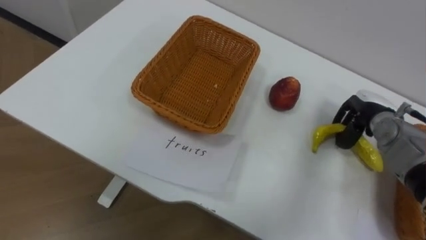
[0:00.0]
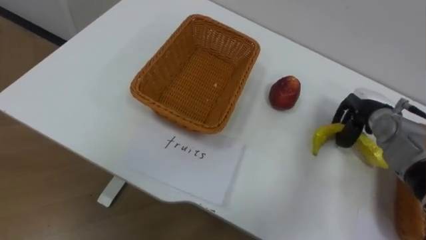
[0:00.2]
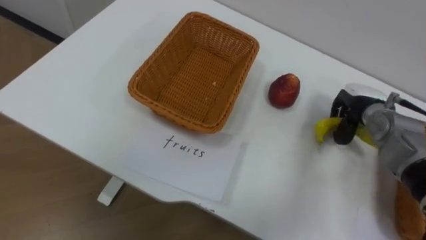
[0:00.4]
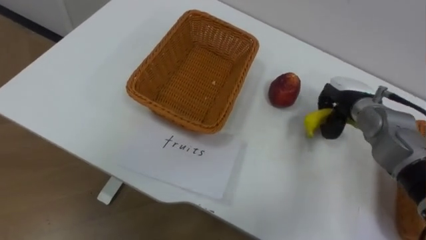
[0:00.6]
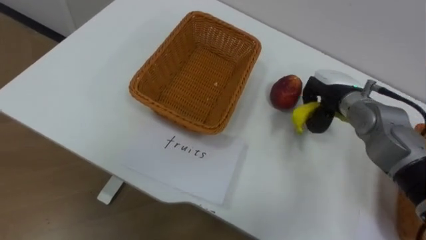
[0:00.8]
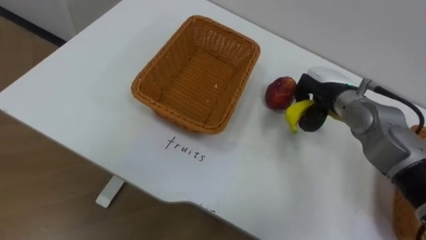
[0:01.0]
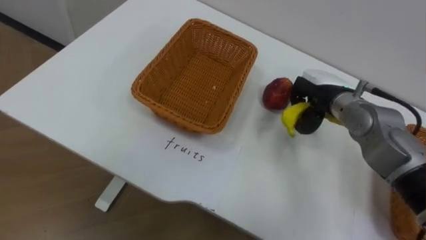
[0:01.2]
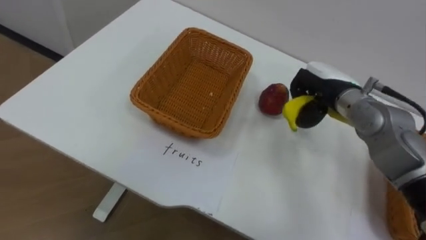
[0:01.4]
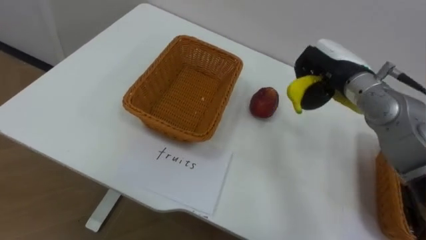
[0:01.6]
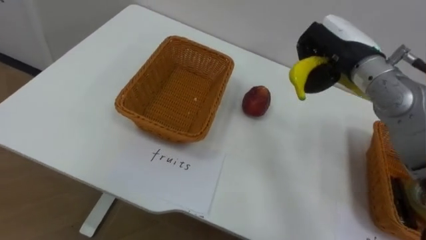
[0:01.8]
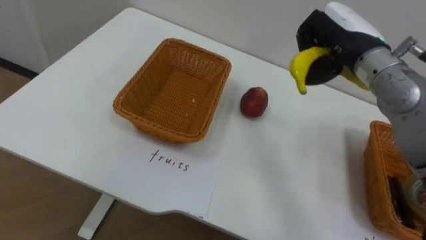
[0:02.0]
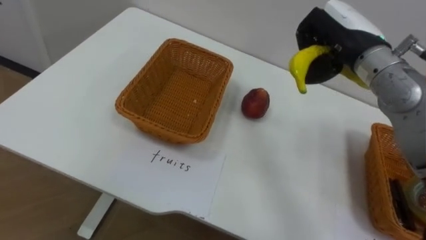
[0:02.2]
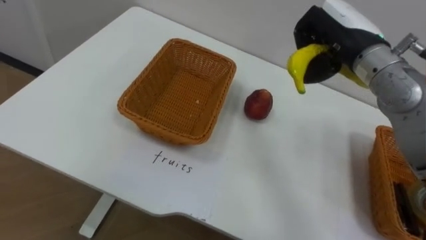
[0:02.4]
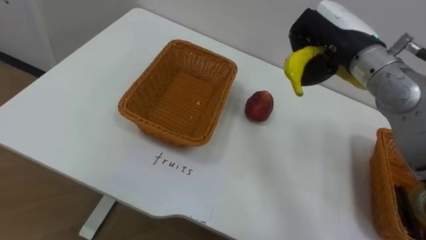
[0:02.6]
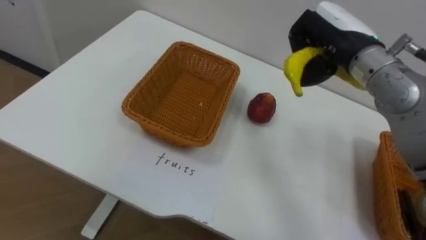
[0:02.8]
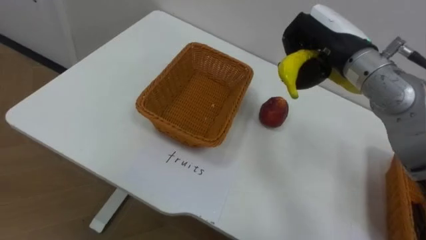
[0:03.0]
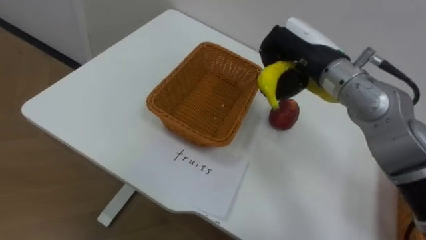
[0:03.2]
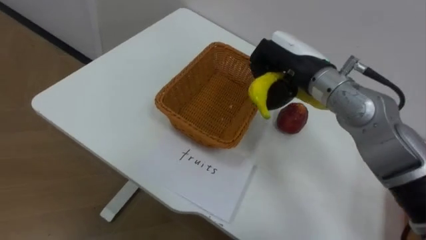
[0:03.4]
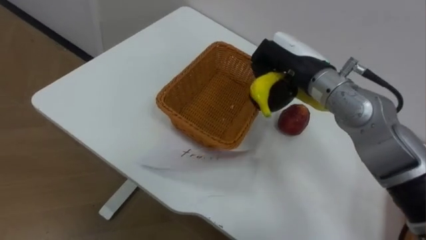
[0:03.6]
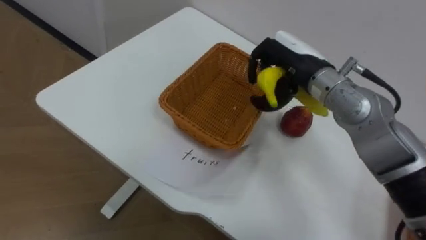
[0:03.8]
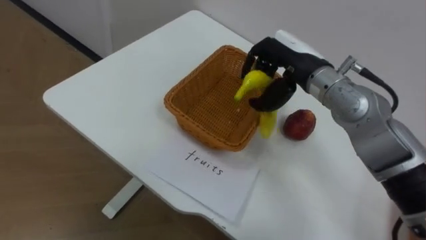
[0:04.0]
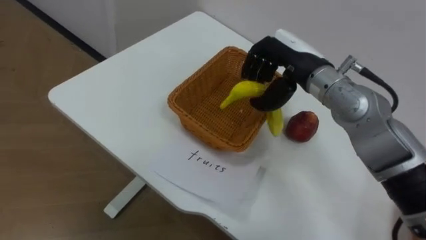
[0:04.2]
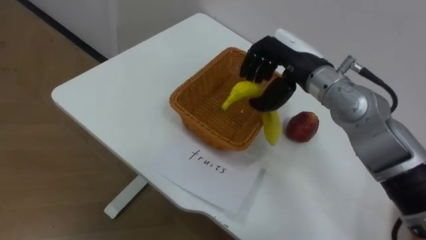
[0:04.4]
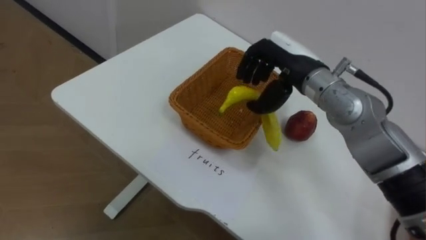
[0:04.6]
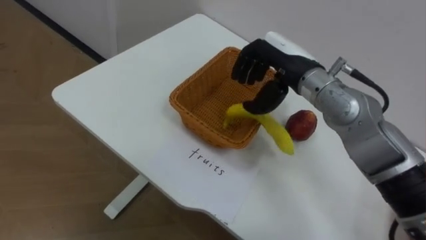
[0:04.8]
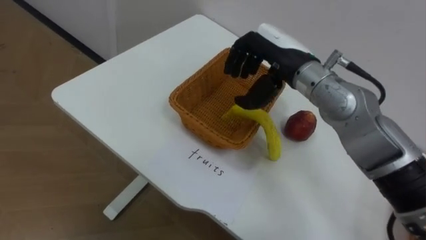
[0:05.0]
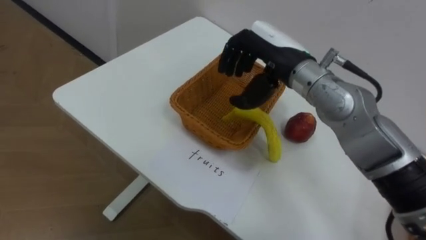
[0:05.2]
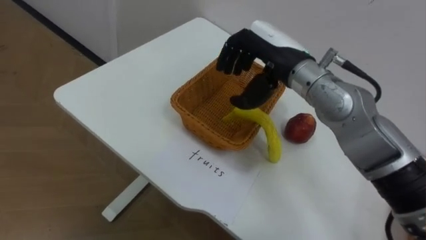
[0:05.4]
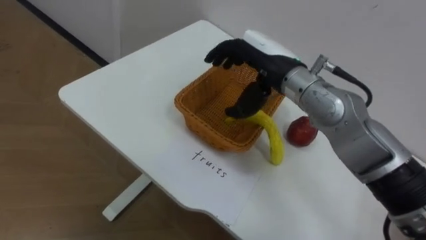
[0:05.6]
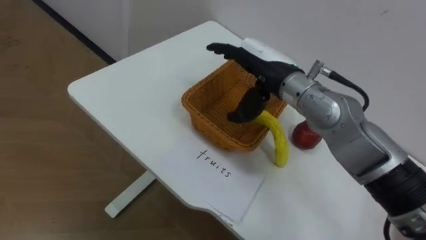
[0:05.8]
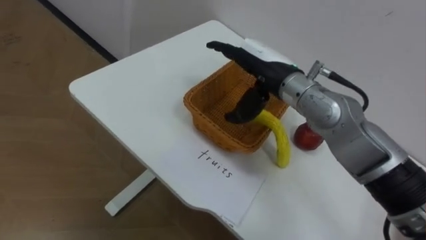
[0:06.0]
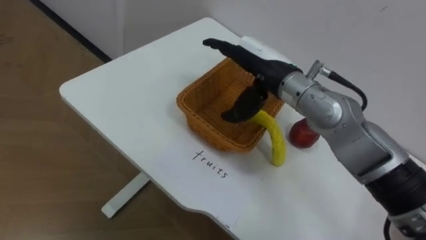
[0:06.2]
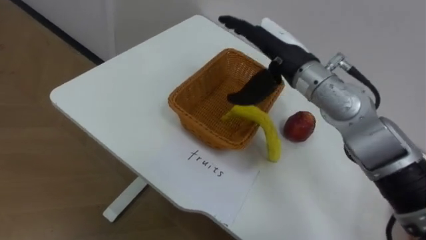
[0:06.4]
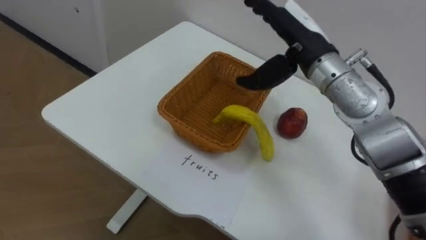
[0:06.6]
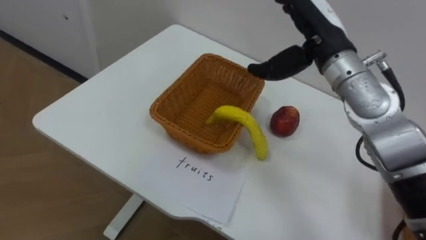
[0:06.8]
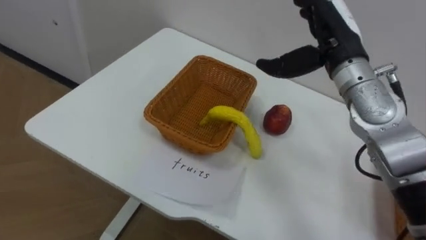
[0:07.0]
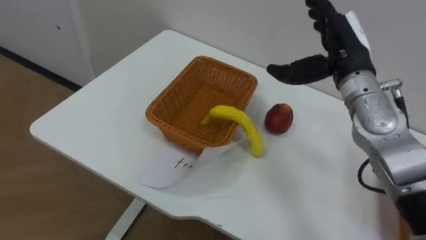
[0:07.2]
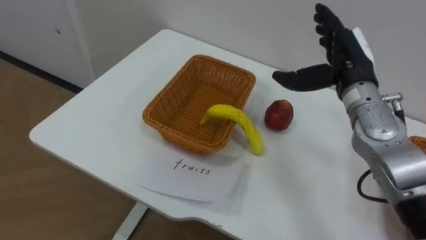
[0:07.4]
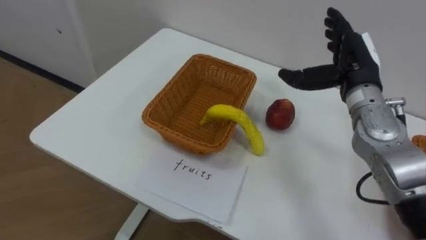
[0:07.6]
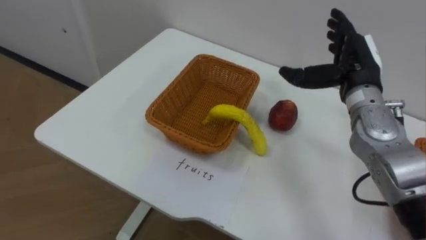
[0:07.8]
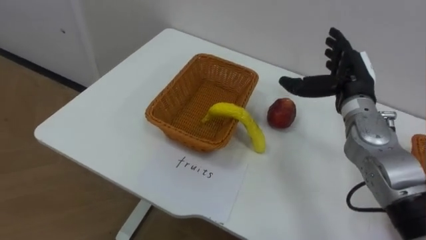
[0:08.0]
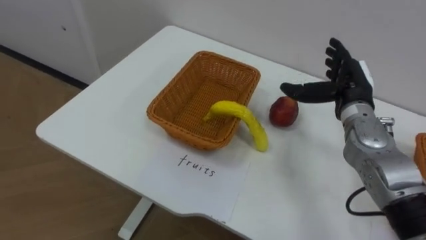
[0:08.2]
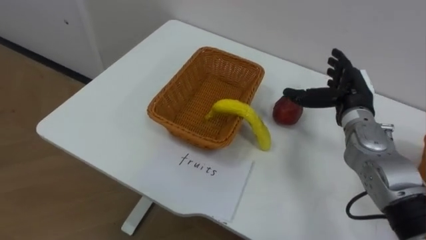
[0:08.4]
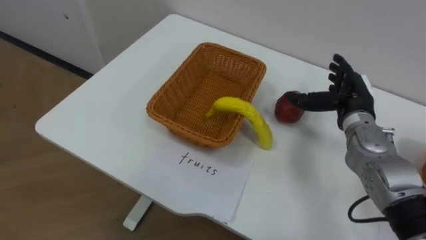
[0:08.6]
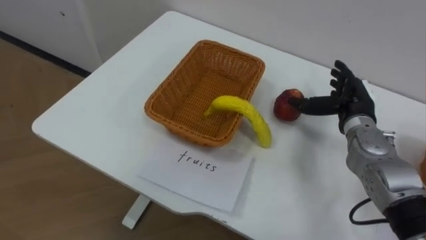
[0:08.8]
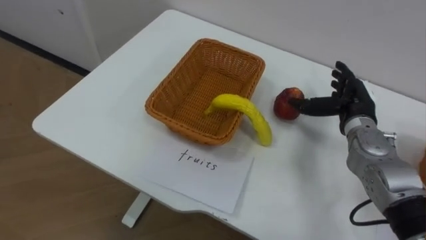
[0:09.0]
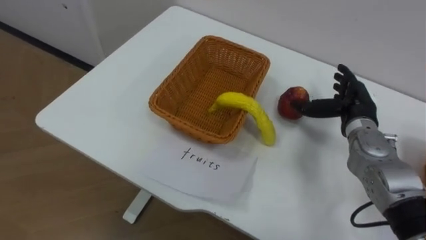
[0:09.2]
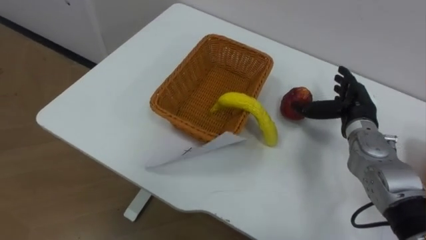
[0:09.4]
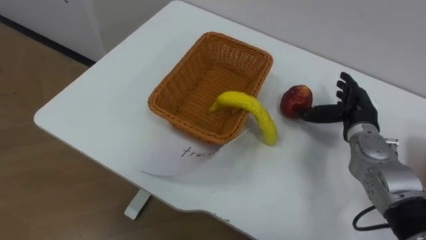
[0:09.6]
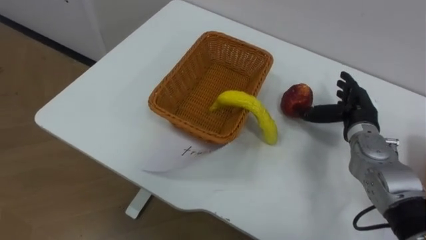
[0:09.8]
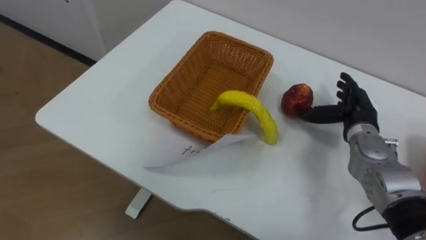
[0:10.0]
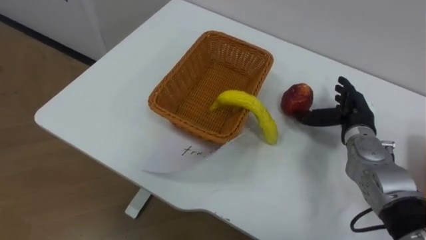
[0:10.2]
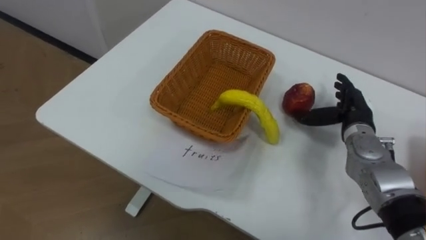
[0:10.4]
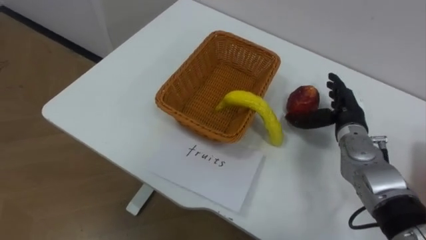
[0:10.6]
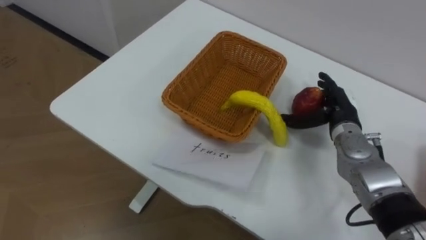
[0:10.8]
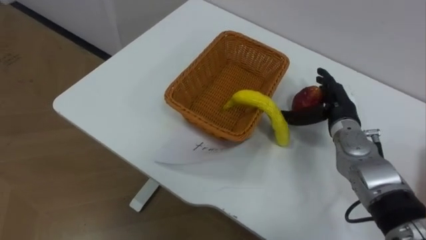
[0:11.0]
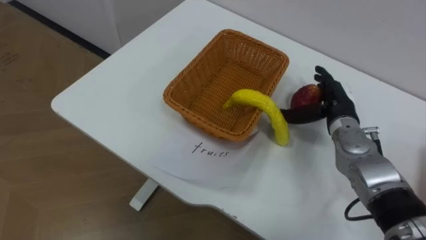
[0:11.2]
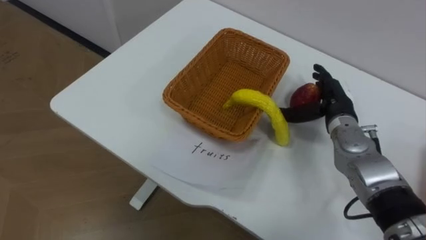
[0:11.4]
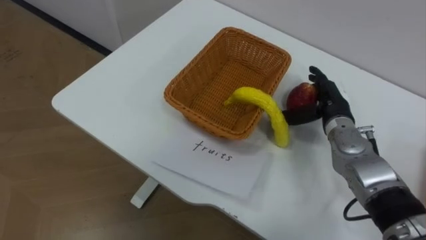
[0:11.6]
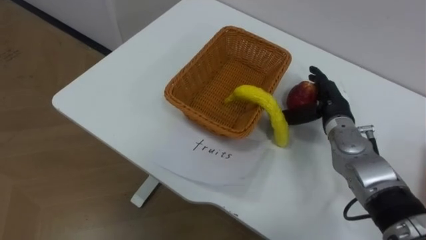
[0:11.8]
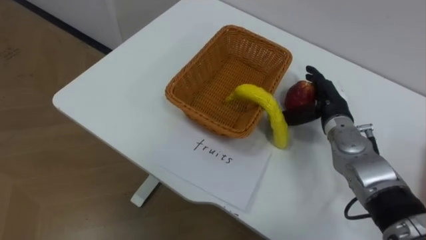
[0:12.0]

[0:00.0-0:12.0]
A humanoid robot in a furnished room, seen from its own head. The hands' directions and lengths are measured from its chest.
Task of the whole recording: Separate the items on the table and place them into the two baskets.
0.0 to 1.6 s: The right hand is displaced upward and to the left by roughly 15 cm.
1.6 to 3.0 s: The right hand goes approximately 5 cm upward.
3.0 to 4.4 s: The right hand ends up some 5 cm from where it was, and opens up.
4.4 to 6.0 s: The right hand shifts approximately 5 cm to the left, and opens up.
6.0 to 7.6 s: The right hand heads to the right, covering roughly 15 cm.
7.6 to 9.0 s: The right hand heads downward, covering about 10 cm.

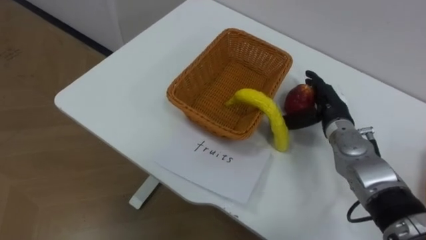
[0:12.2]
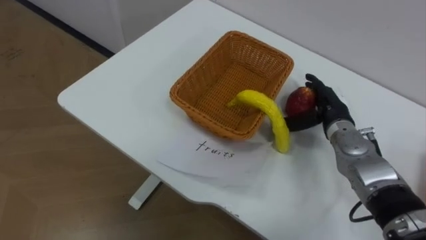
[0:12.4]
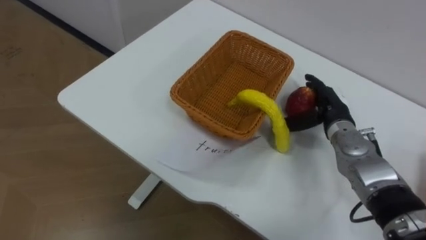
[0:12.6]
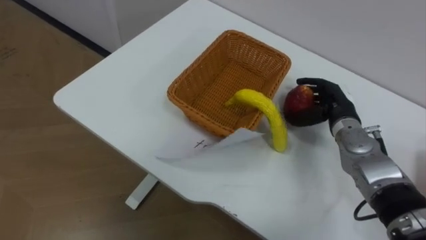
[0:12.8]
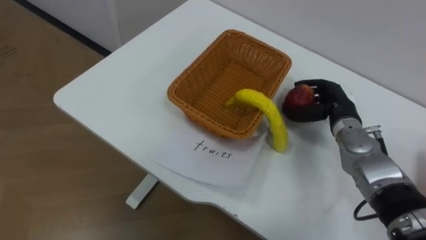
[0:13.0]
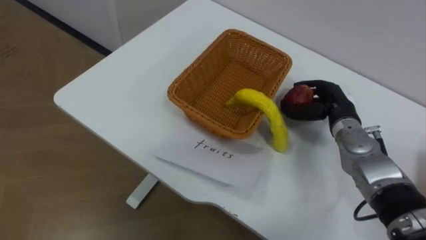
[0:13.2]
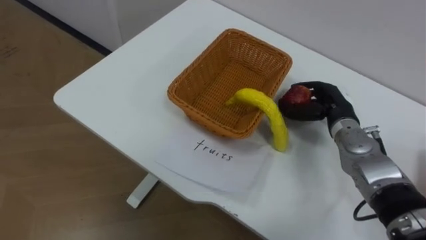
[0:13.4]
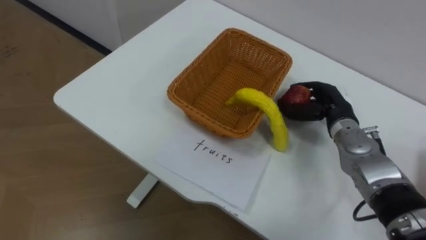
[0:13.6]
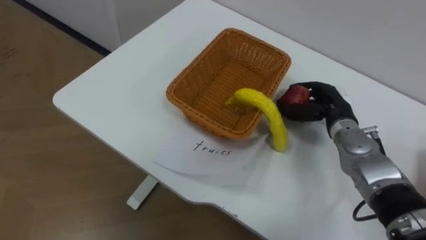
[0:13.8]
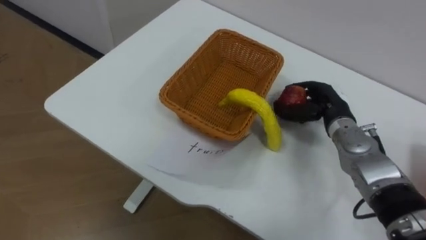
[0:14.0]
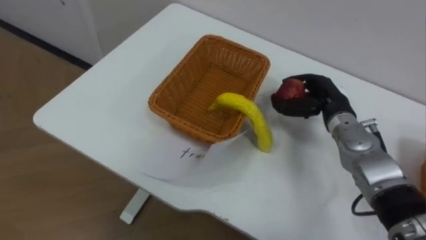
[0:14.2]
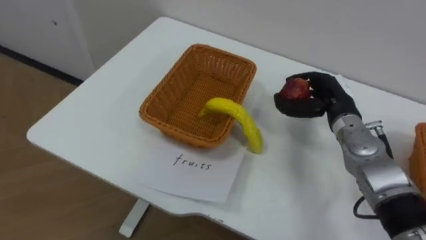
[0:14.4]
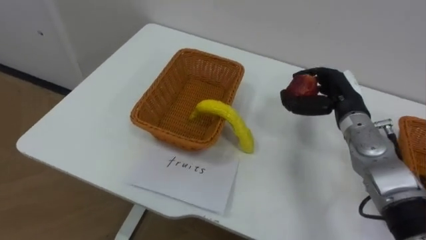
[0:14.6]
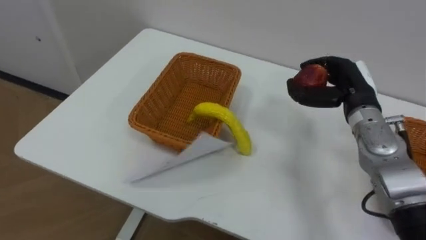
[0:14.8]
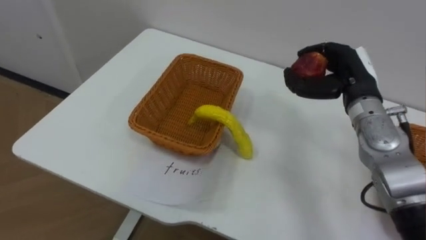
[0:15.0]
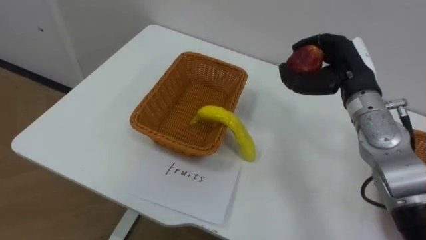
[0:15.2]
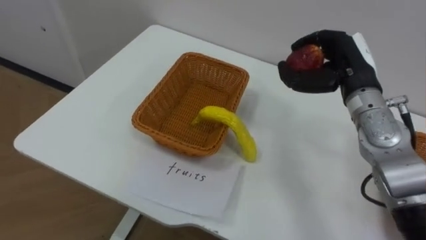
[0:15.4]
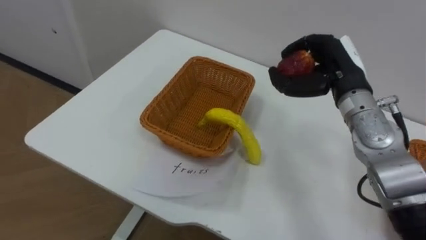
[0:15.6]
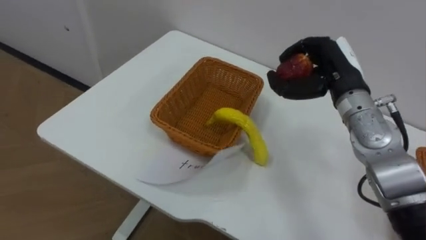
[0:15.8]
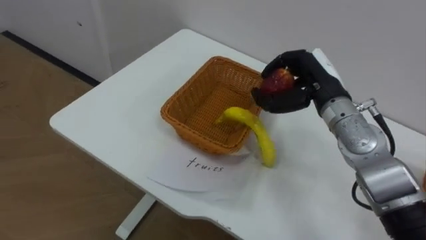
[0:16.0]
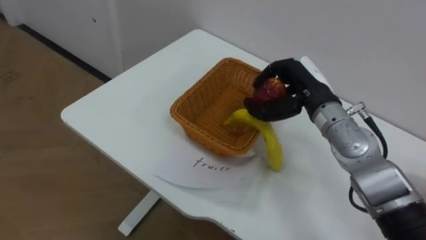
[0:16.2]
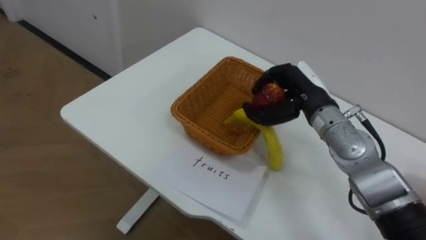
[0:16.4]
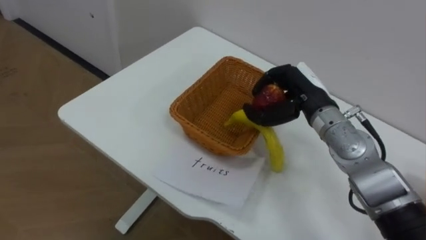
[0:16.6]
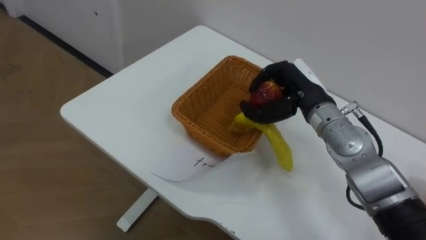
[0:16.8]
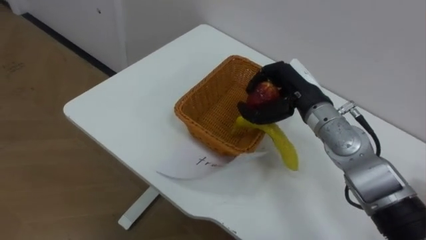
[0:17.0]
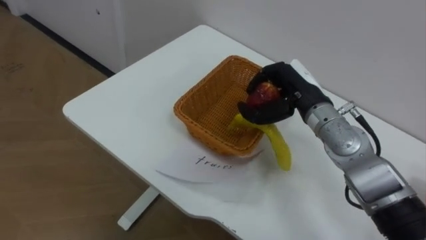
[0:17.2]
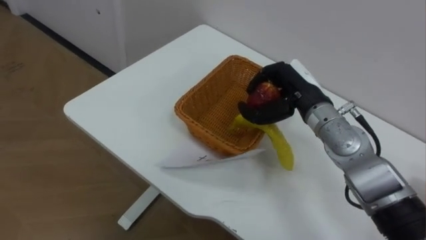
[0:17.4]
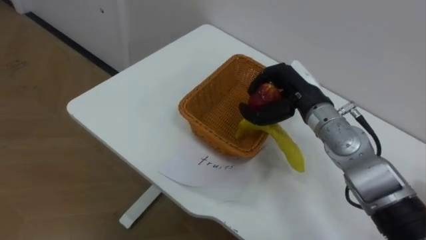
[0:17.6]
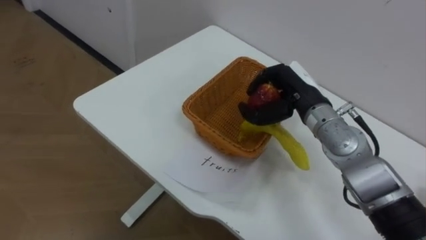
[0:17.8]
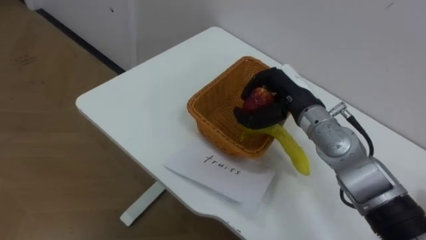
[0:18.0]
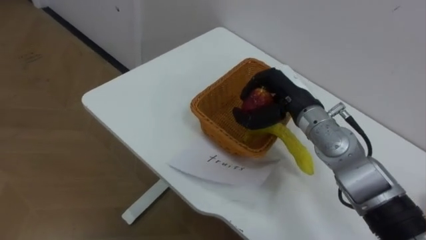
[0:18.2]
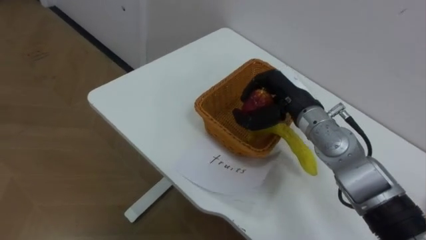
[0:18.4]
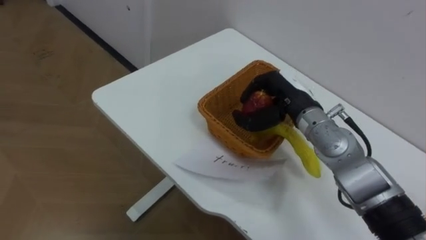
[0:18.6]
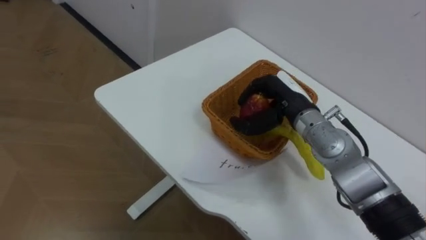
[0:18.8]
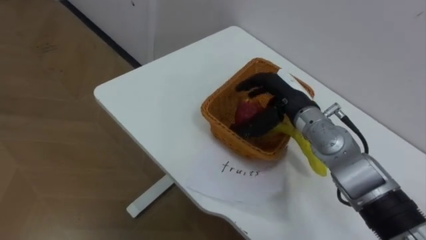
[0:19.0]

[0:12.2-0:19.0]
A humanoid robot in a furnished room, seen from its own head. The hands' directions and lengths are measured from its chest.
Task of the whole recording: Separate the items on the table and place them into the two baskets.
12.2 to 13.6 s: The right hand closes.
13.6 to 15.0 s: The right hand moves upward, about 10 cm.
15.0 to 16.2 s: The right hand travels to the left by about 5 cm.
17.6 to 19.0 s: The right hand opens.
